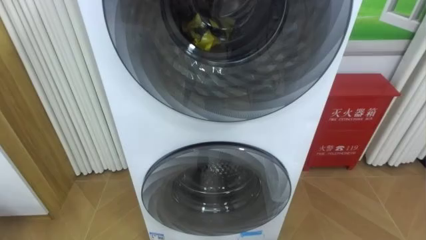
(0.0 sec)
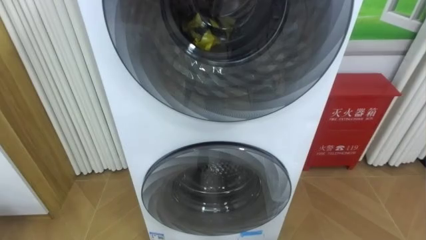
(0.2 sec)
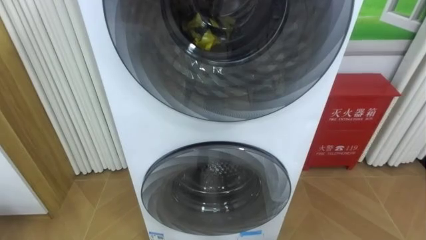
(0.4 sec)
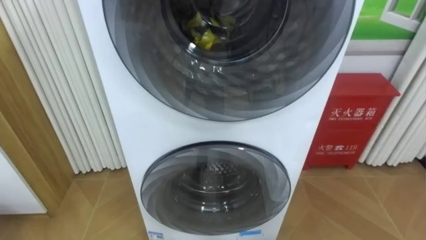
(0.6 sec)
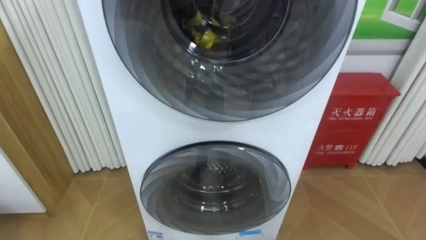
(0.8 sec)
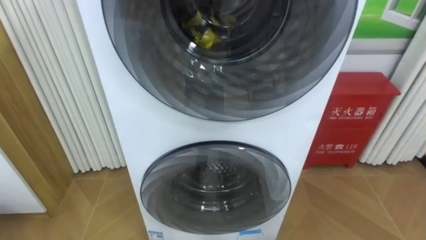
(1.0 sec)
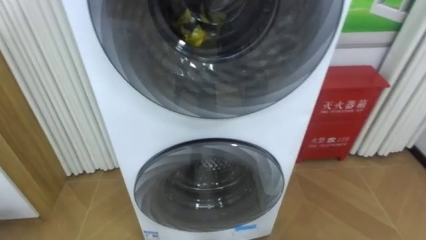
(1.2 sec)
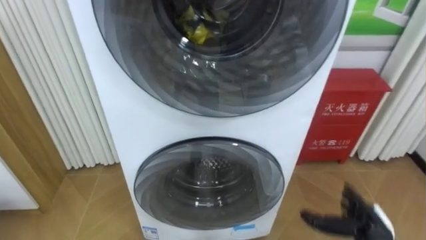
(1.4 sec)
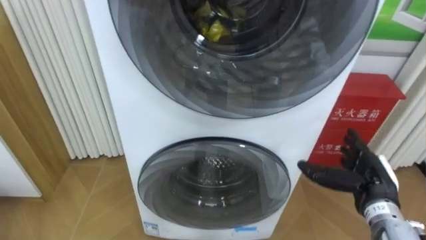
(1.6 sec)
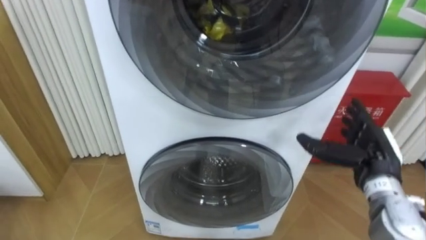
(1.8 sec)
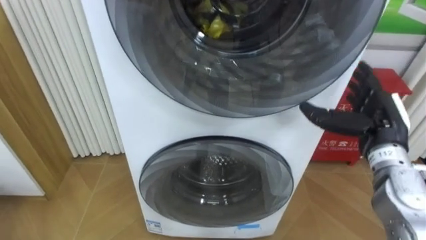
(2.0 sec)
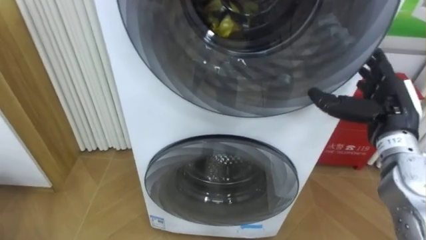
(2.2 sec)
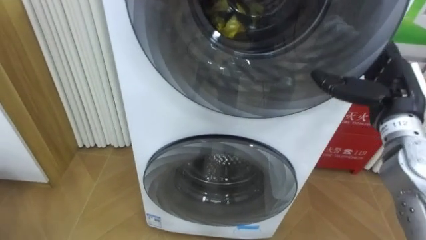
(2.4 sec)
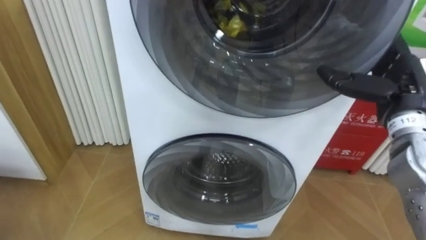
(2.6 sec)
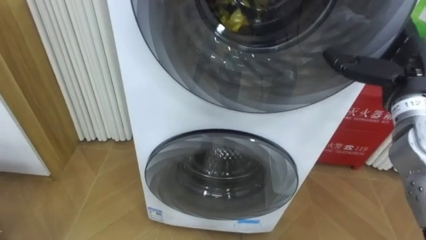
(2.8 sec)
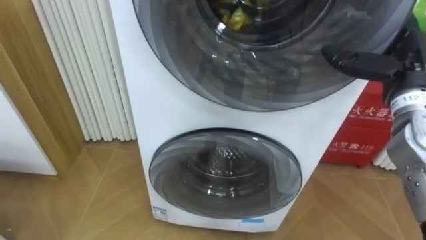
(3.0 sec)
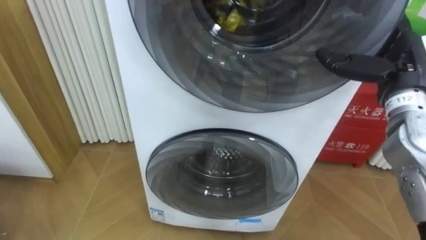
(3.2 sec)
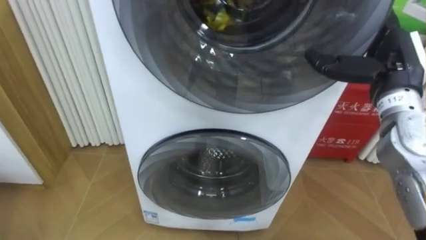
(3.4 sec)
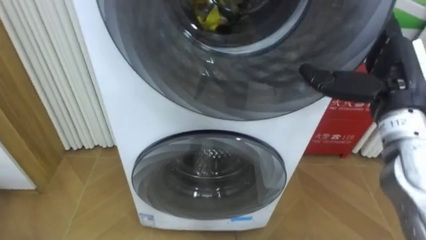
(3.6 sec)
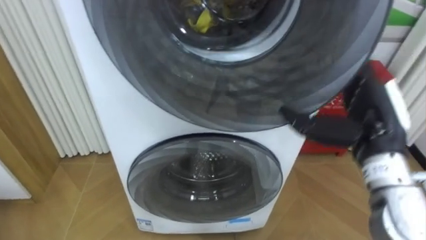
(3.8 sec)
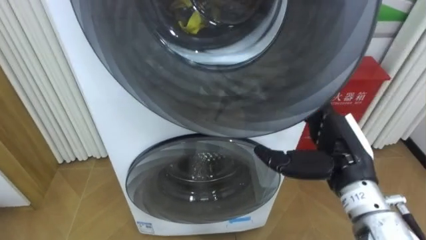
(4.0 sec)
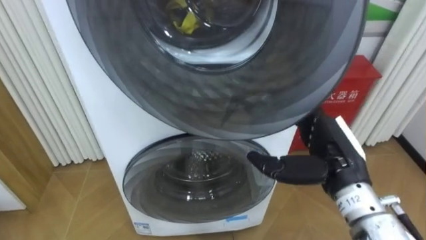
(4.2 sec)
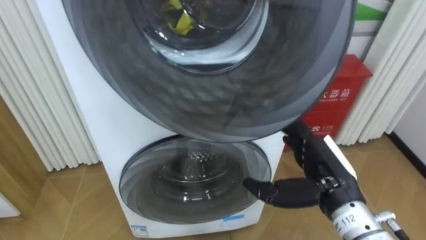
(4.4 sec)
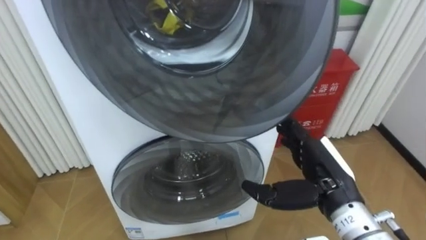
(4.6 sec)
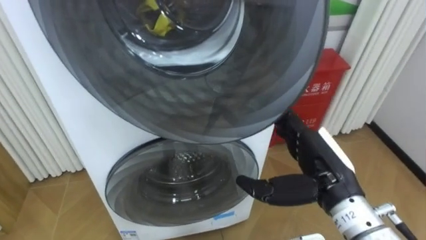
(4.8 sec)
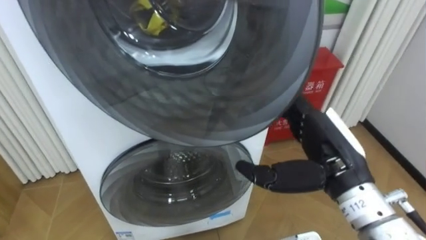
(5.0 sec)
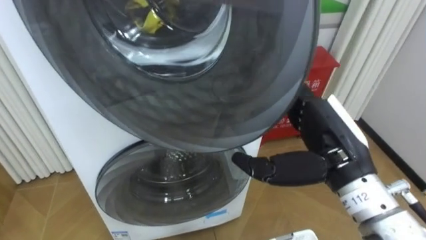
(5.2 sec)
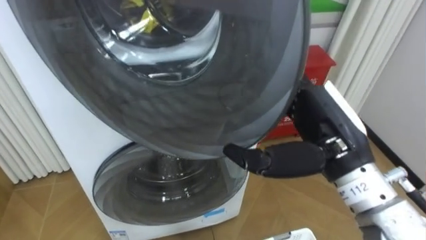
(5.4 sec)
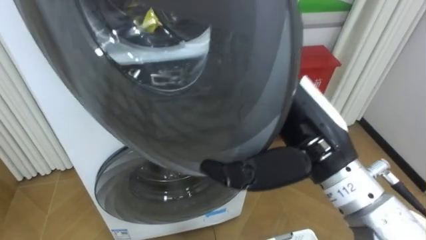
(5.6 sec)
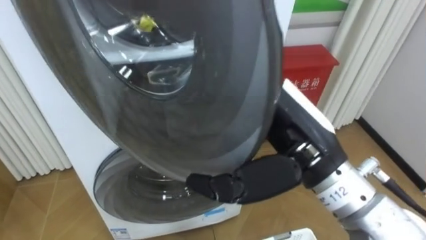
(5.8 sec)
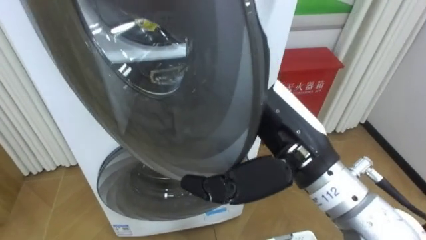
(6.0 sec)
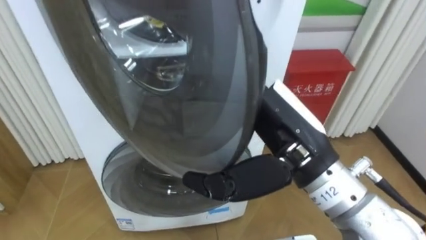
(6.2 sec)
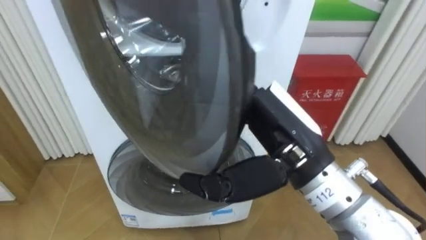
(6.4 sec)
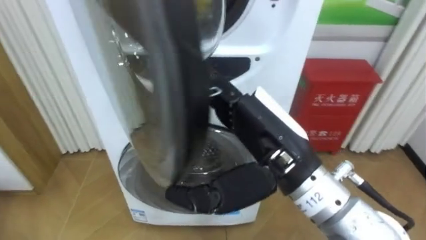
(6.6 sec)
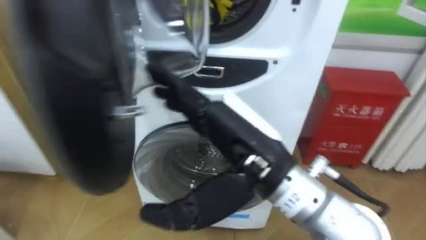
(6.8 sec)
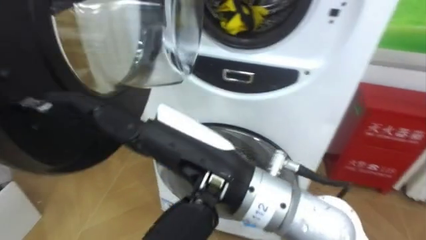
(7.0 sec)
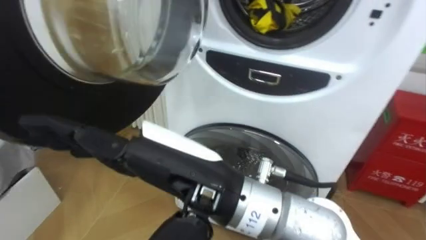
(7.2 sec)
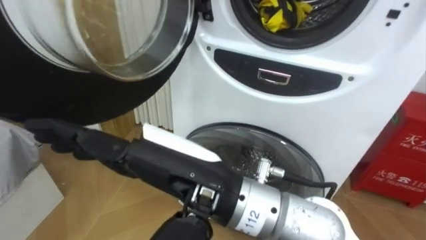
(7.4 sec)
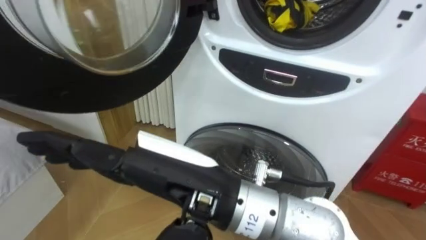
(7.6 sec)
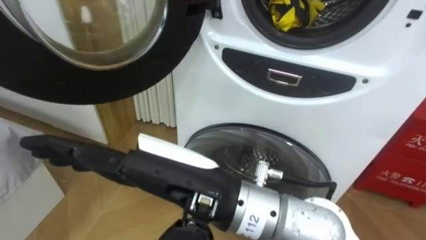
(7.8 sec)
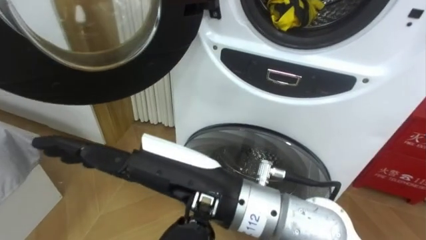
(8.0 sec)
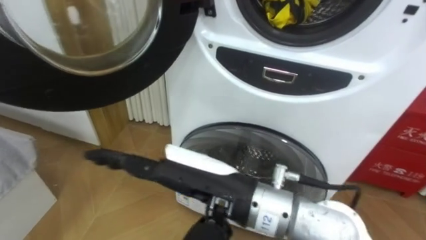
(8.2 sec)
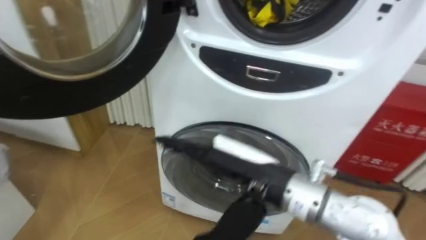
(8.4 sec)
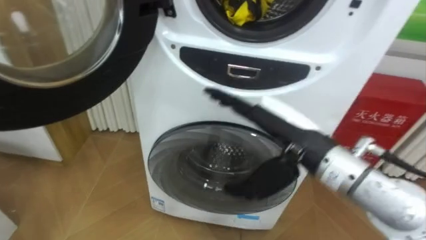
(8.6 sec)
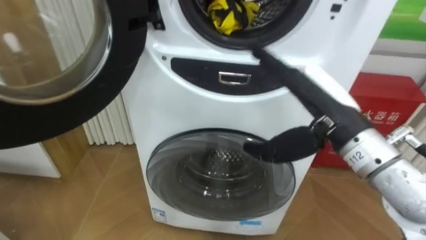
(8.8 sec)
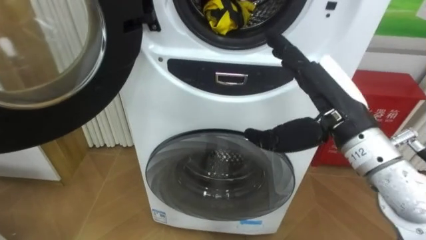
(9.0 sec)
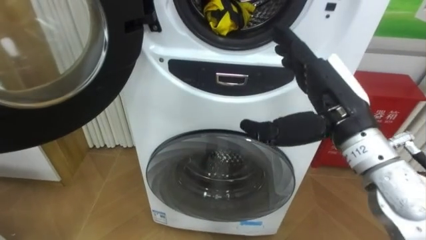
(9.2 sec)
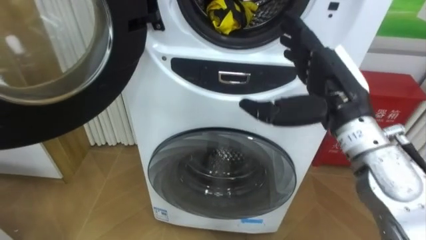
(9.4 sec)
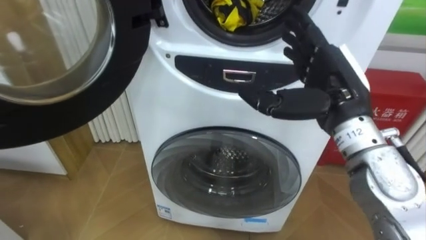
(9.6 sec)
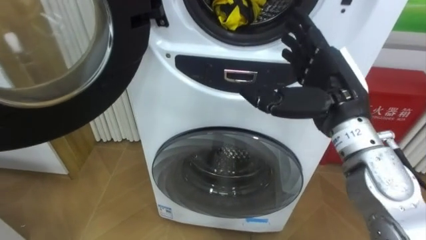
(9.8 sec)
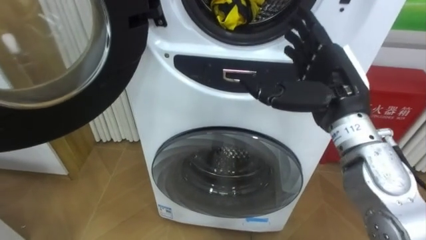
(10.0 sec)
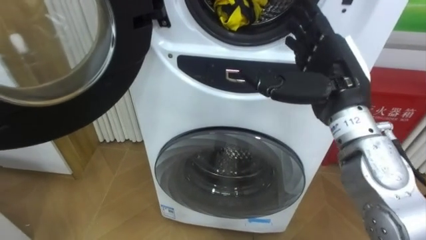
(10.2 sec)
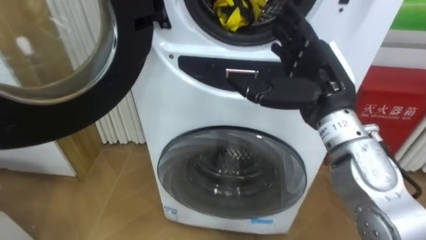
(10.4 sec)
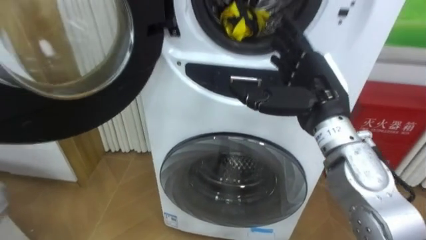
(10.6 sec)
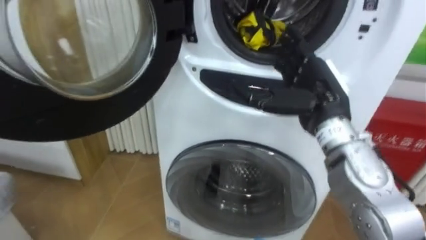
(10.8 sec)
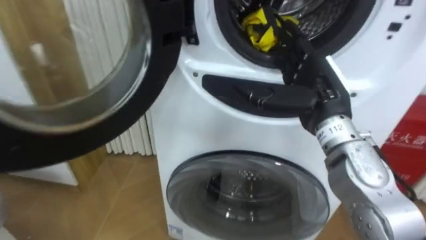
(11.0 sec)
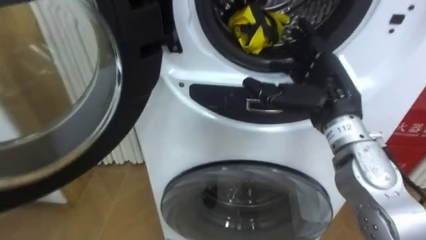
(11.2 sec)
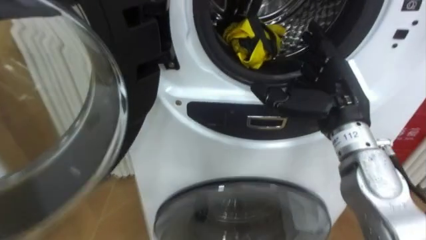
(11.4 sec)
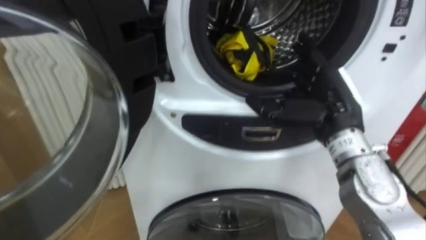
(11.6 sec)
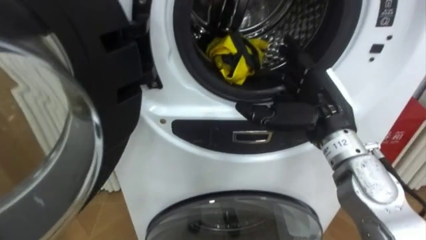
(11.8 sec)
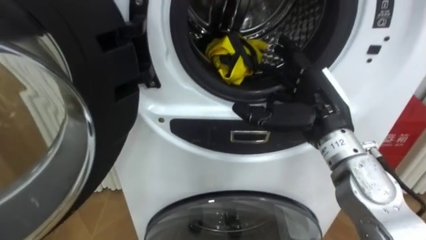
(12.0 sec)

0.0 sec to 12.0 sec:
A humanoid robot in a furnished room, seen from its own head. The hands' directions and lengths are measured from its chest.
Task of the whole recording: Open the washing machine door, take out the yellow clothes, place them in the box on the right, and close the washing machine door.
1.6 sec to 3.0 sec: The right hand shifts some 20 cm upward and forward.
3.0 sec to 4.4 sec: The right hand shifts about 20 cm to the left, downward and backward.
4.4 sec to 6.0 sec: The right hand travels upward and to the left by about 15 cm.
6.0 sec to 7.6 sec: The right hand is displaced to the left and backward by some 15 cm.
7.6 sec to 9.0 sec: The right hand moves to the right and forward, roughly 20 cm.

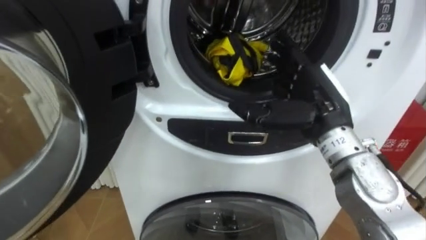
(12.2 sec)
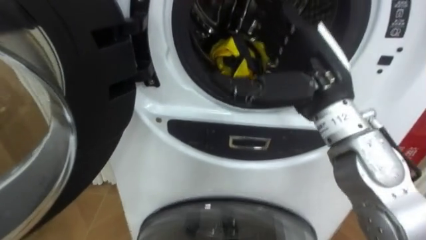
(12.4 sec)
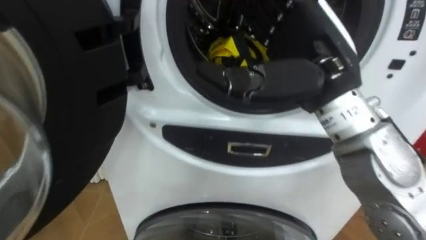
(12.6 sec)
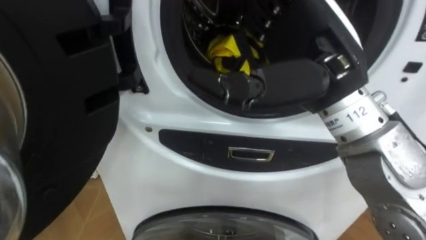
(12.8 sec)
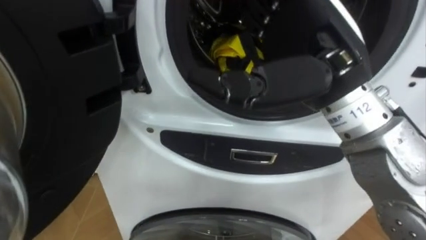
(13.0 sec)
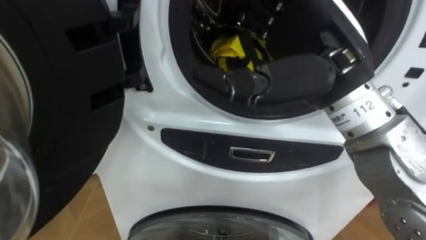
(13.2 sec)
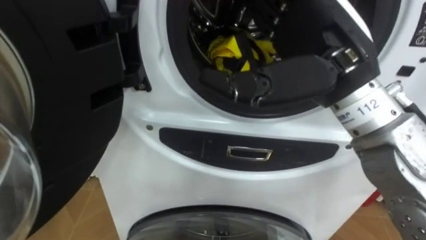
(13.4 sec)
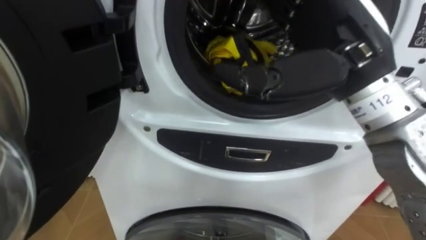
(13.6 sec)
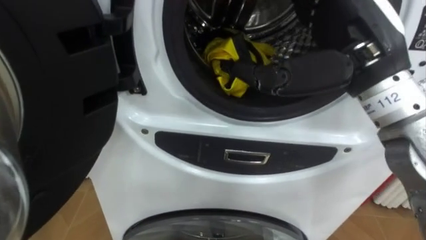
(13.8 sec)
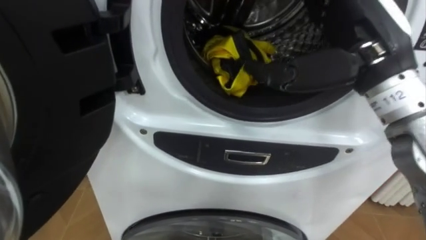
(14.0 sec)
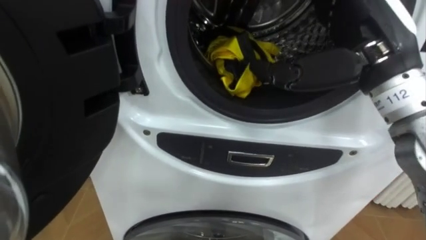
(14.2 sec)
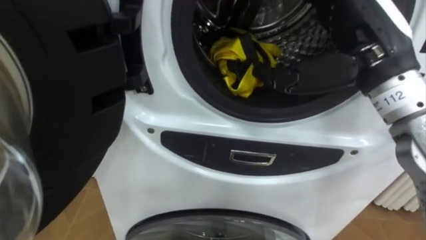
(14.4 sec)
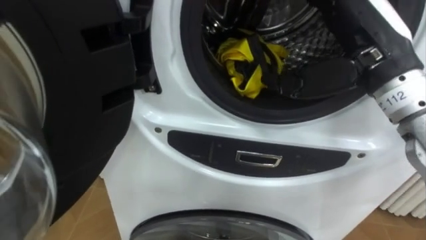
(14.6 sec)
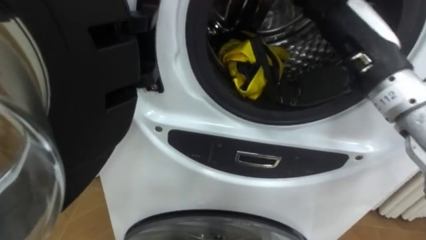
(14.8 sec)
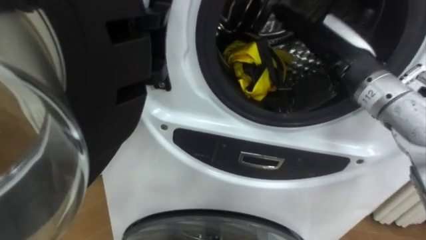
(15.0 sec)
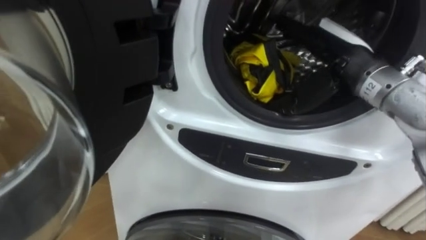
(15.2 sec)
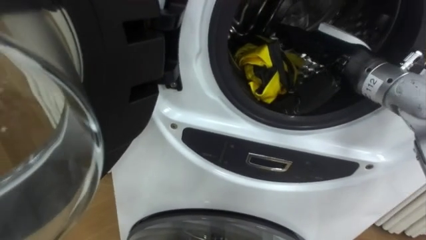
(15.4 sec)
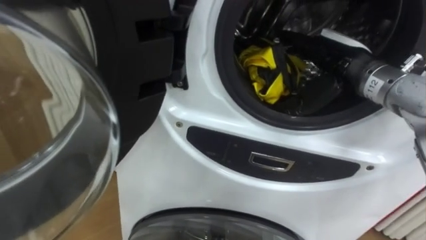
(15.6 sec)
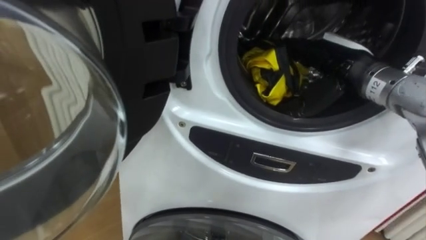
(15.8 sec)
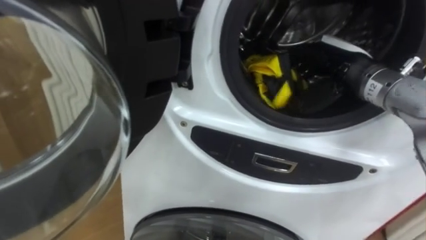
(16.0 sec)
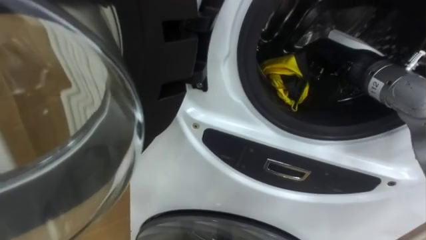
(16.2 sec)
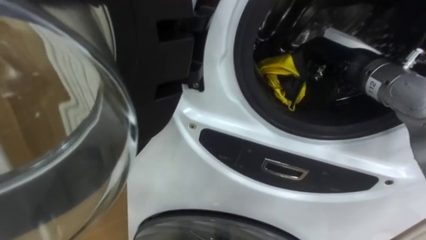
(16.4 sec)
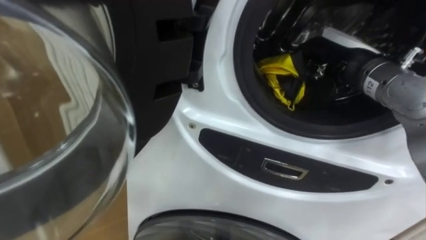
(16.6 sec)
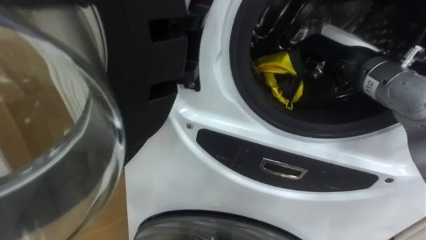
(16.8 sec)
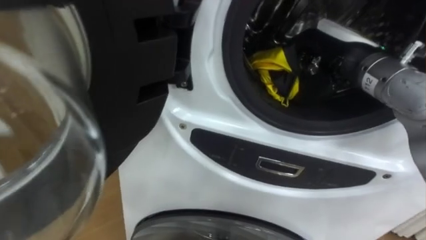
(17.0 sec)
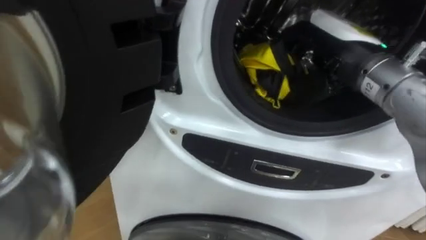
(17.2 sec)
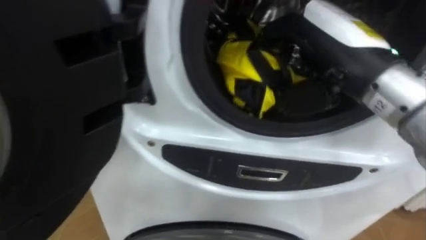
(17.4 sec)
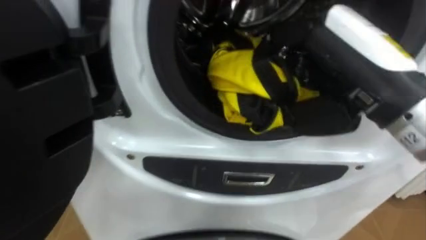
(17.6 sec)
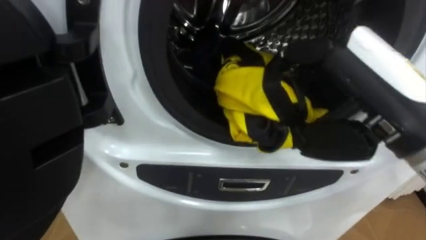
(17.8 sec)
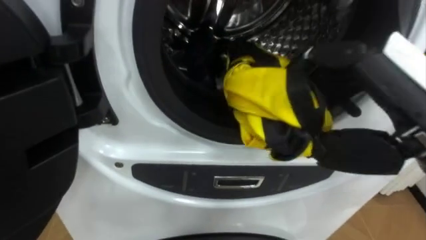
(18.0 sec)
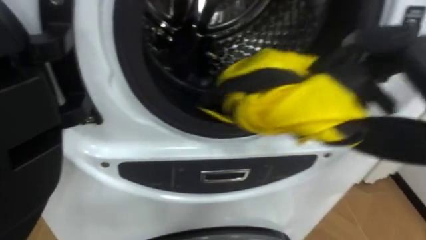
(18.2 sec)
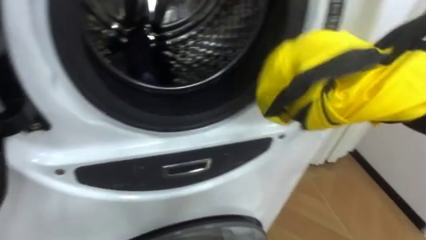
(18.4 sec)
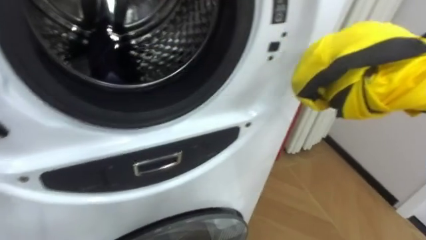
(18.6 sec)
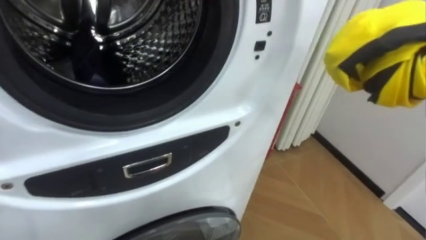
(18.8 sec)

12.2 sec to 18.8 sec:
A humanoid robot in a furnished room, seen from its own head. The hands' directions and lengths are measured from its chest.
Task of the whole recording: Open the washing machine door, take out the yellow clothes, place them in the box on the right, and close the washing machine door.
12.2 sec to 13.8 sec: The right hand heads upward, covering some 10 cm.
13.8 sec to 15.4 sec: The right hand is displaced forward and downward by some 10 cm.
15.4 sec to 17.2 sec: The right hand changes place by roughly 5 cm, and closes its fingers.
